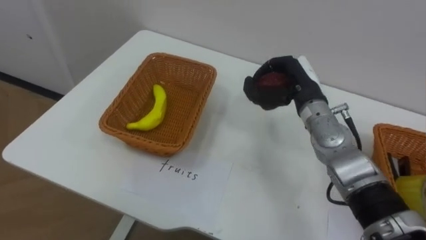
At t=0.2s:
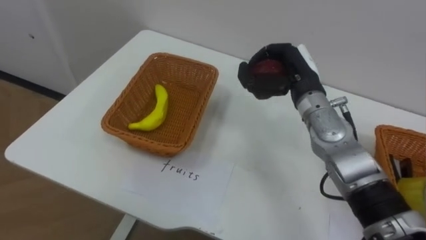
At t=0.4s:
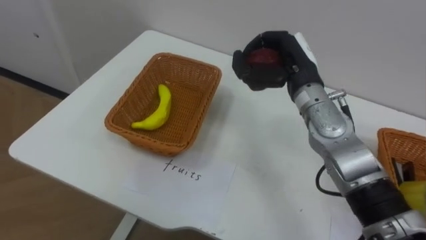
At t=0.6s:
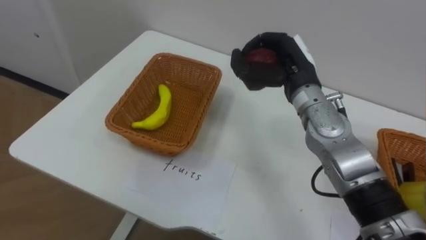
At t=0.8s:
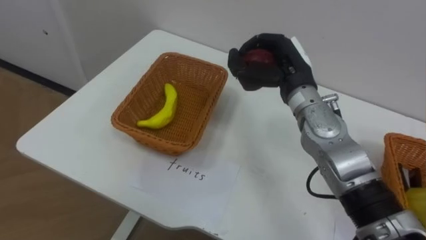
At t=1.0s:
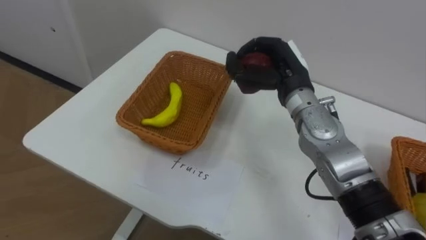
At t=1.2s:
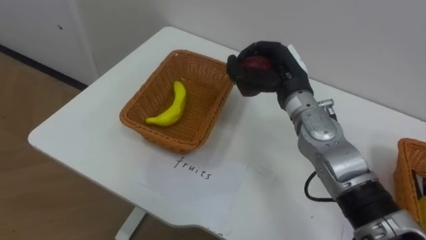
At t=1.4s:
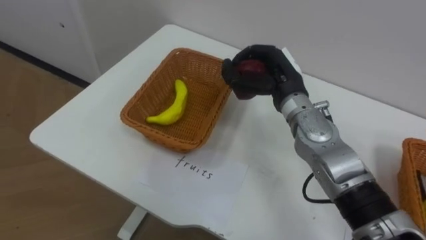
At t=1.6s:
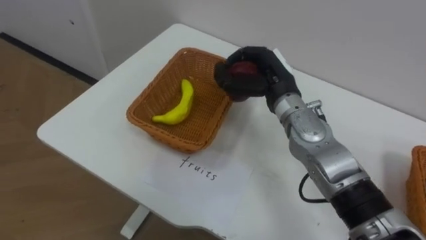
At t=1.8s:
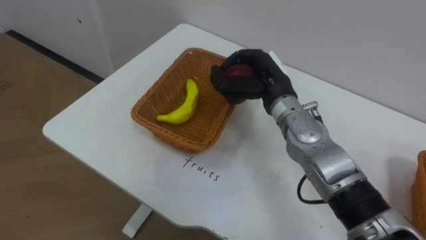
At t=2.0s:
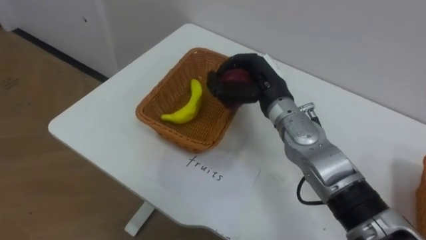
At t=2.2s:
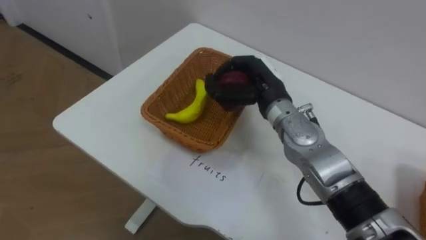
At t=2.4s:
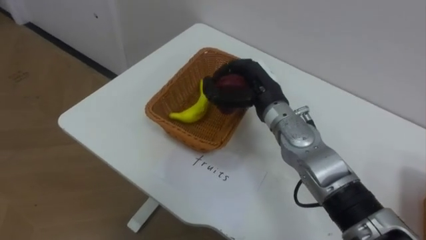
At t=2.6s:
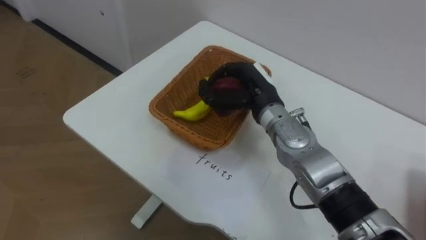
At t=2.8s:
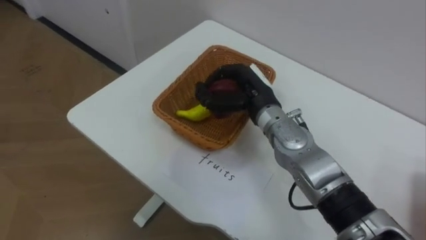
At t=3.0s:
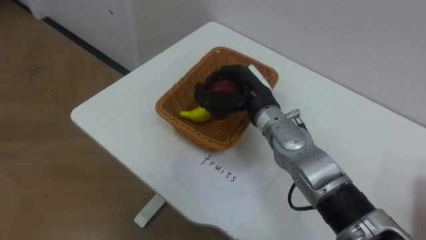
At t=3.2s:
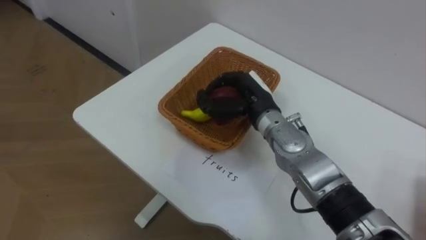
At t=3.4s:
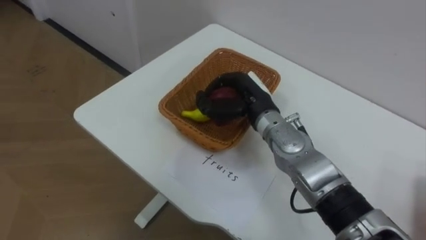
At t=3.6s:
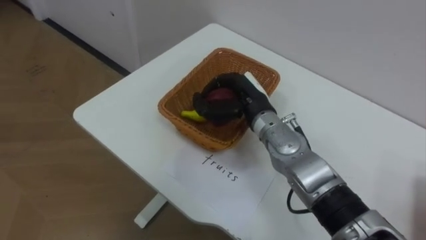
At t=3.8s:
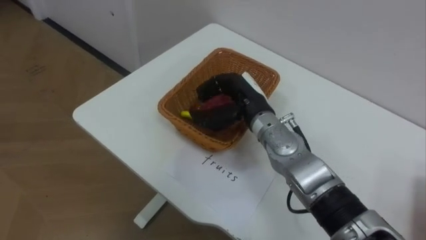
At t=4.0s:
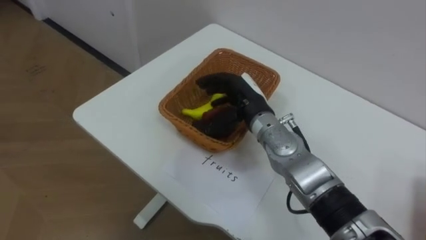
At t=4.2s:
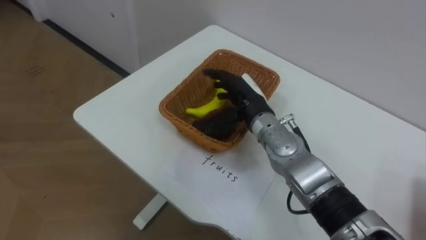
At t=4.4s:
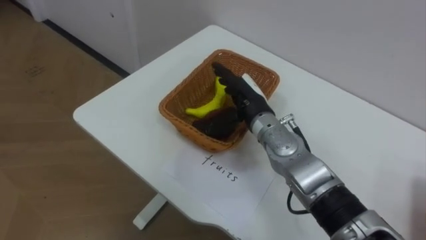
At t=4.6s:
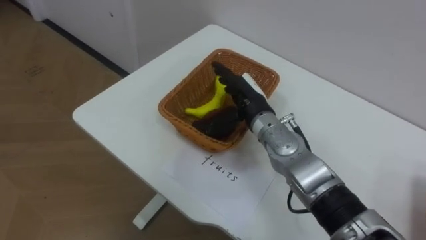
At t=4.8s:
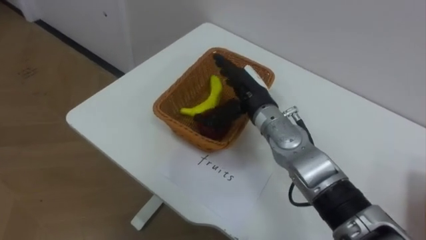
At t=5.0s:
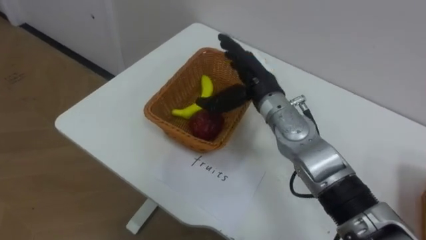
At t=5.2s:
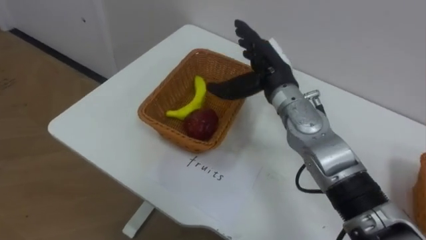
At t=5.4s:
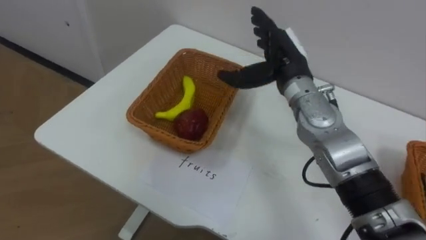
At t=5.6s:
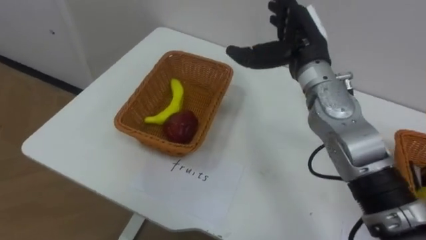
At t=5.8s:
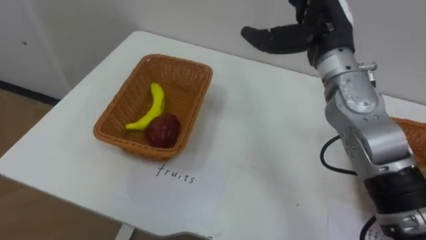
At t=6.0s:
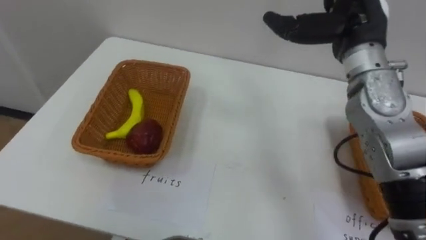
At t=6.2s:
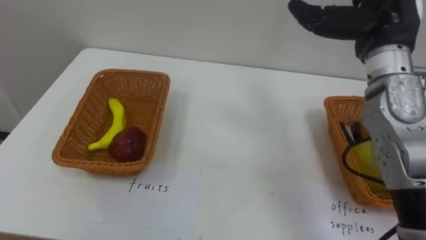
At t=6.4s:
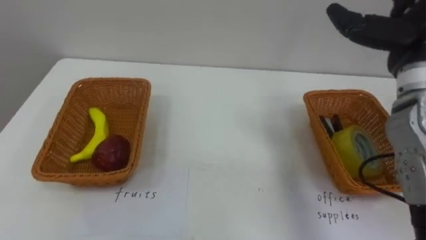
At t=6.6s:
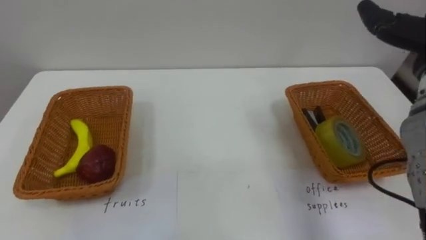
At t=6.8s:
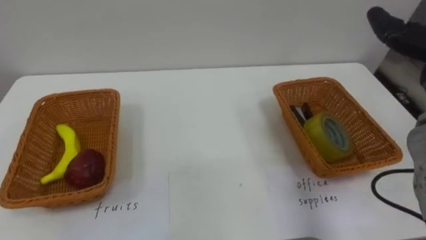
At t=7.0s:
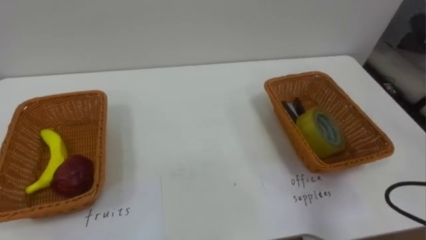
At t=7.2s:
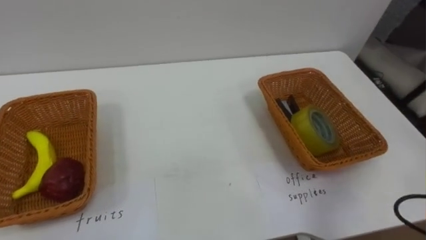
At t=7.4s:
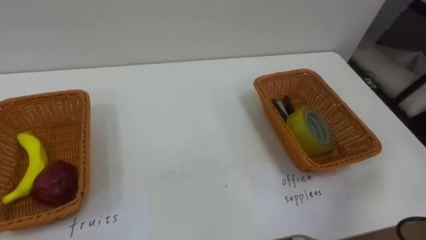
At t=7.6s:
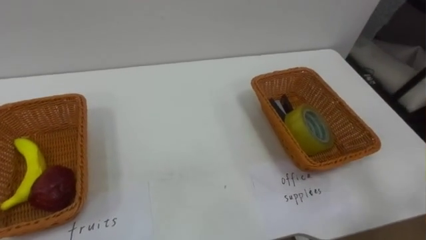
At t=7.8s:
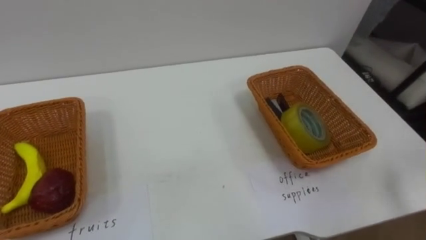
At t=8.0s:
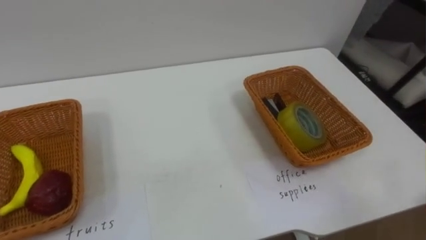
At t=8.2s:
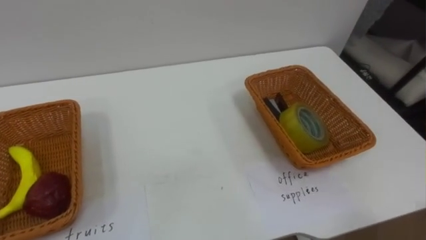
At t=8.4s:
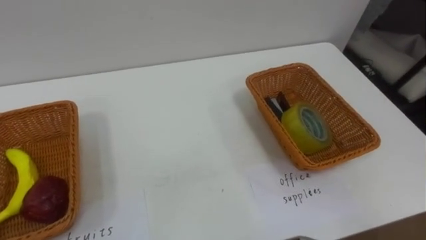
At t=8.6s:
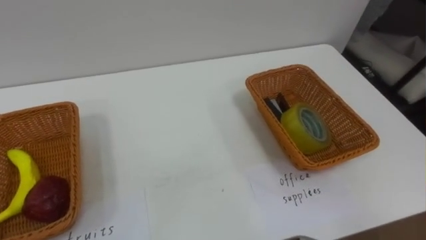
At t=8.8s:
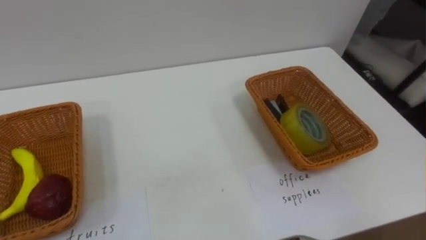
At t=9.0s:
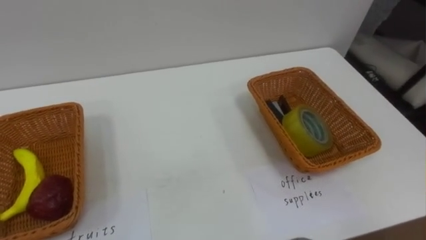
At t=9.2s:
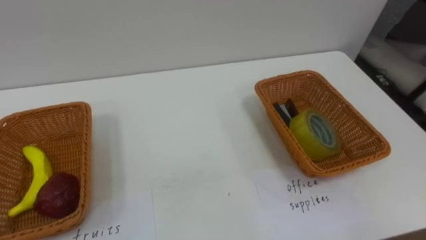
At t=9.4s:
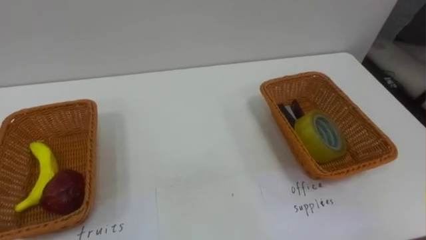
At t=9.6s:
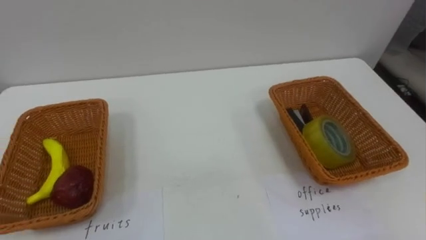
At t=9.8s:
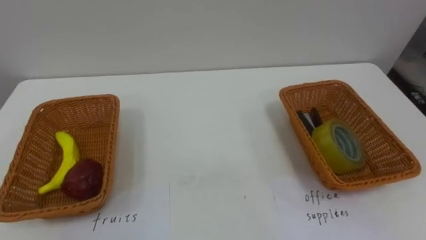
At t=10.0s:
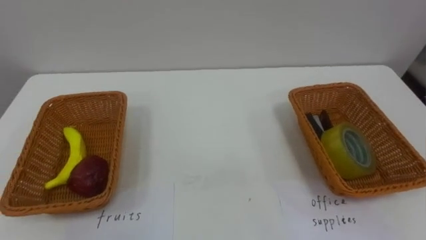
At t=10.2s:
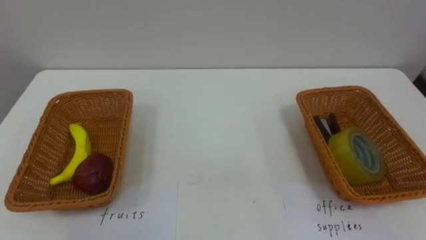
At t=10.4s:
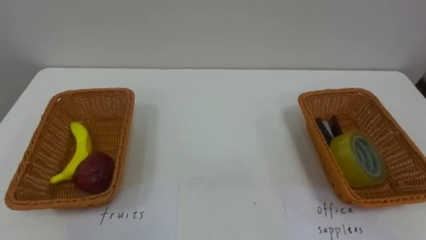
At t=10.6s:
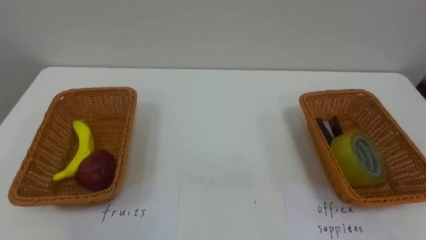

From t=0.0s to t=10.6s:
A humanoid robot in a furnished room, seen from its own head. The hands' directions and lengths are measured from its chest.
Task of the whole recording: Separate the items on the table and place them into the two baskets.
From t=0.0s to t=1.6s: The right hand heads to the left, covering some 5 cm.
From t=3.0s to t=4.6s: The right hand opens its fingers.
From t=4.6s to t=6.0s: The right hand is displaced upward and to the right by about 20 cm.

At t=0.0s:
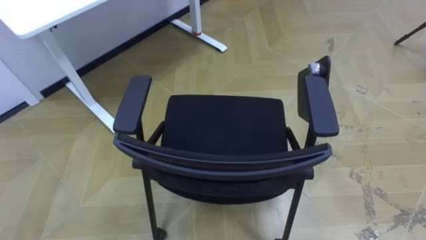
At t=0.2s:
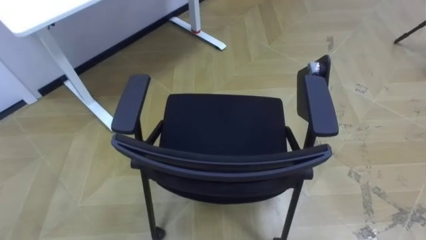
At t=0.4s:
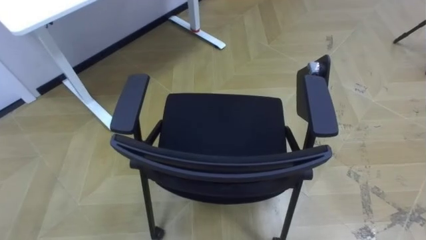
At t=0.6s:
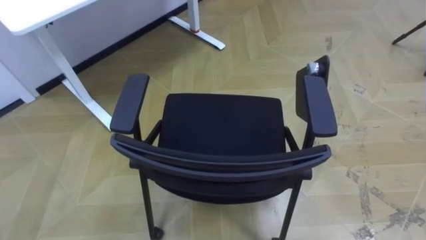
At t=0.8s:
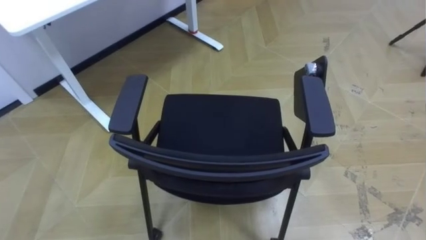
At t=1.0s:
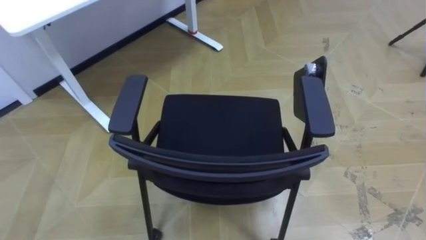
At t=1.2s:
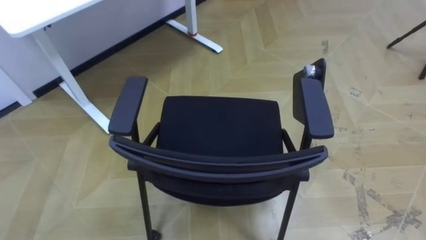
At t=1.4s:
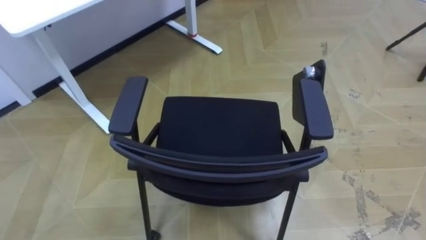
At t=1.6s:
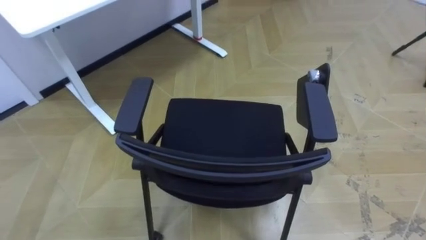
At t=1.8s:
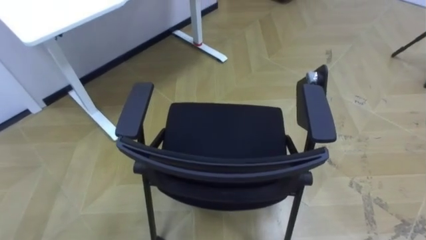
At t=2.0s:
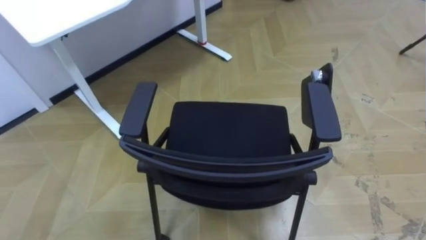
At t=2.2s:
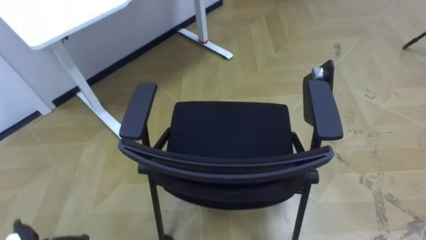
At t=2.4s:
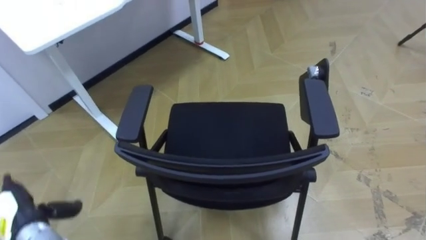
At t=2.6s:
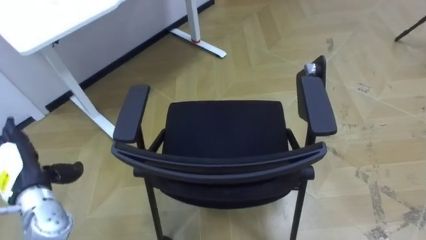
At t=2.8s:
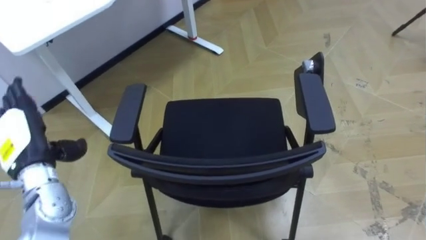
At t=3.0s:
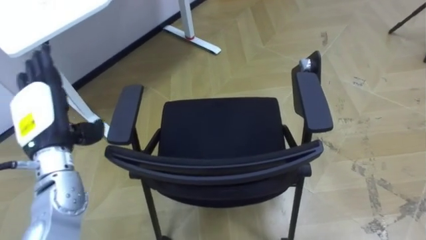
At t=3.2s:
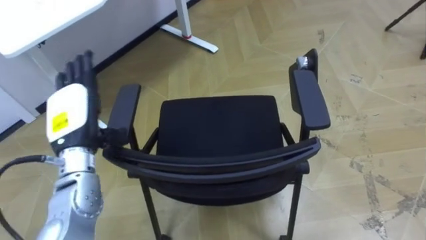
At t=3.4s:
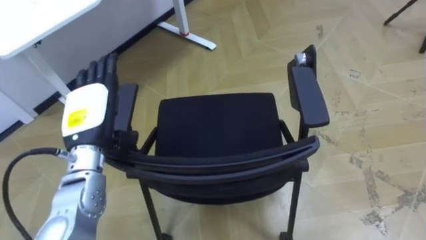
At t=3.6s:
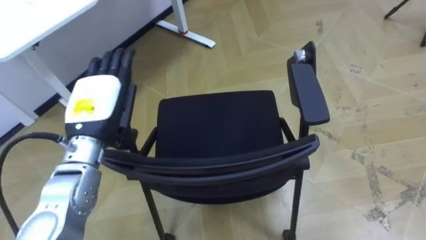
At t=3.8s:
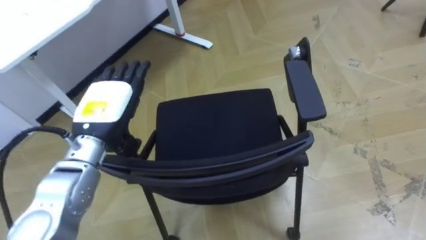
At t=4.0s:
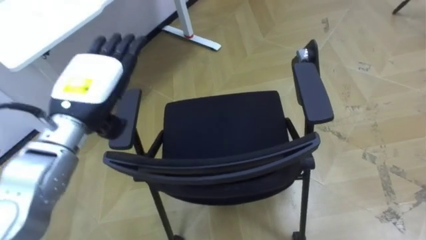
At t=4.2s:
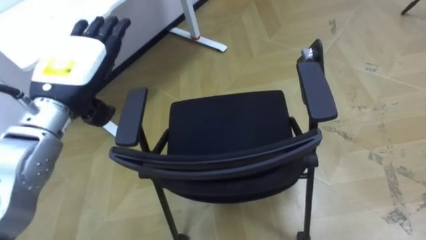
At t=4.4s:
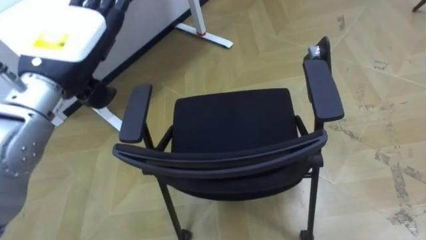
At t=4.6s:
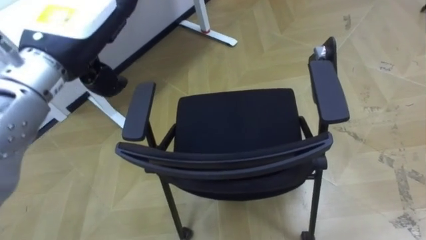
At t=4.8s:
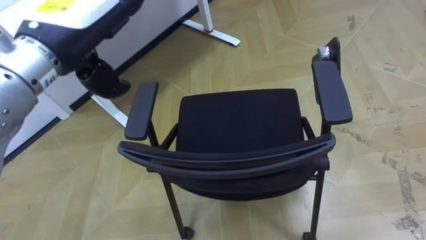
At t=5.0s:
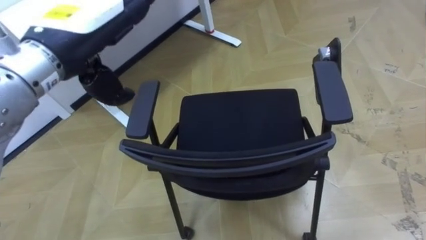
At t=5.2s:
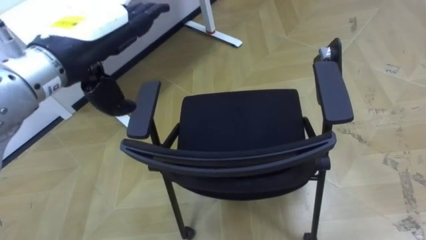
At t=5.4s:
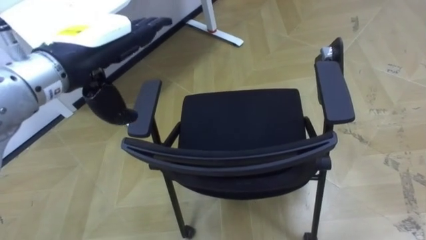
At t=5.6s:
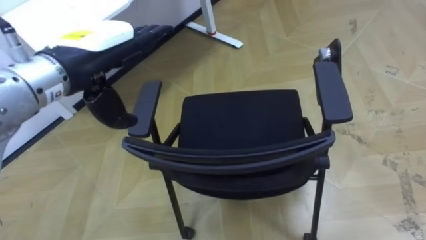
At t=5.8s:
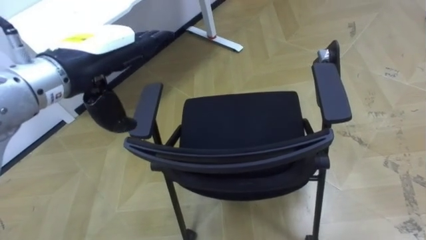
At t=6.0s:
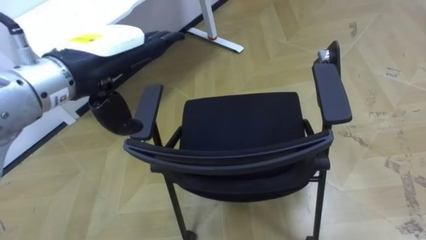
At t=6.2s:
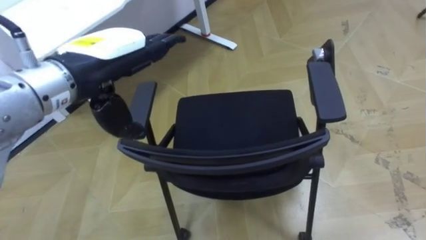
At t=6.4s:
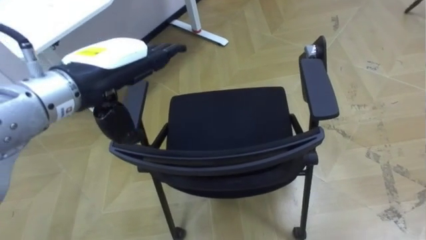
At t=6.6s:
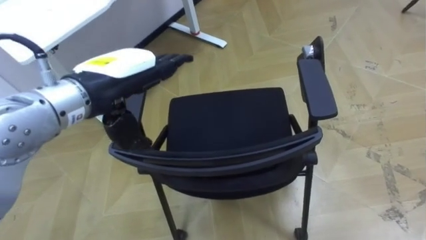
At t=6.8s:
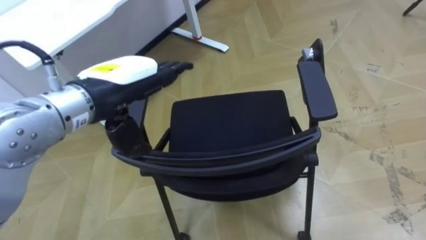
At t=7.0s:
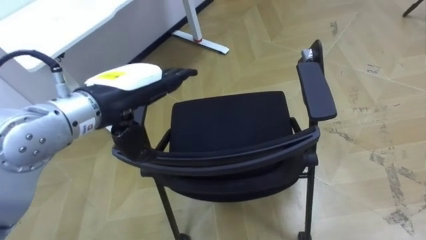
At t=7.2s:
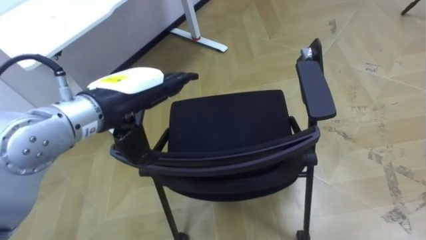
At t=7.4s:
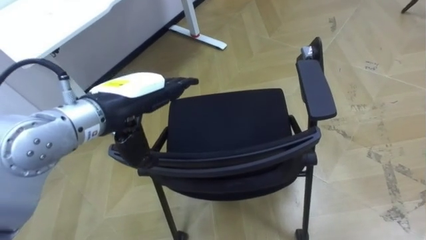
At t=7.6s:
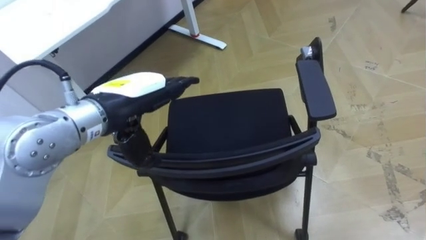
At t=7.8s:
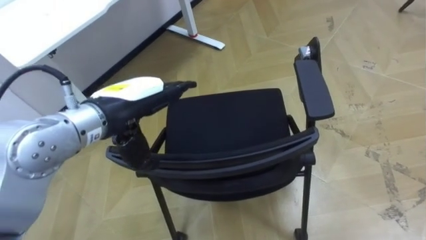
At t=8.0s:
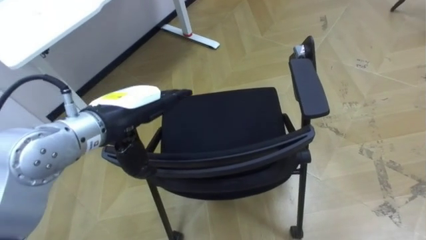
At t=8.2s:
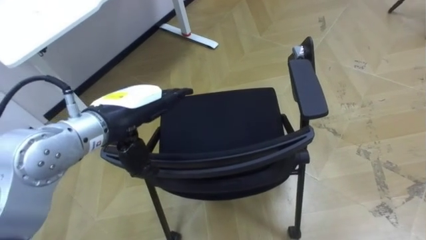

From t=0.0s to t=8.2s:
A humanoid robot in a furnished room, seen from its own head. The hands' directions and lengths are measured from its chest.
Task of the whole recording: Push the chair under the table.
From t=3.2s to t=5.0s: The left hand moves upward and to the right, approximately 20 cm.
From t=5.0s to t=6.6s: The left hand is displaced downward by some 5 cm.
From t=6.6s to t=8.2s: The left hand goes some 5 cm downward.
